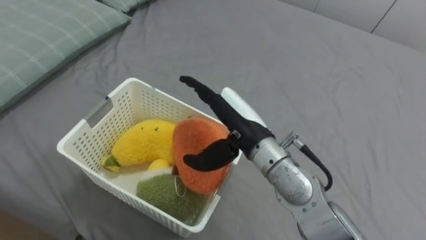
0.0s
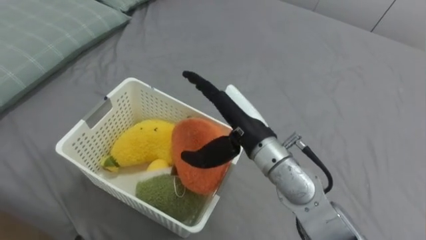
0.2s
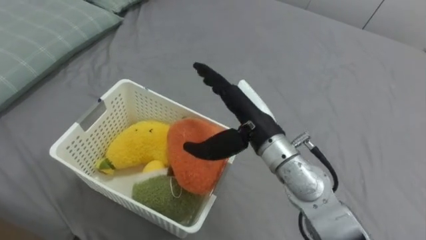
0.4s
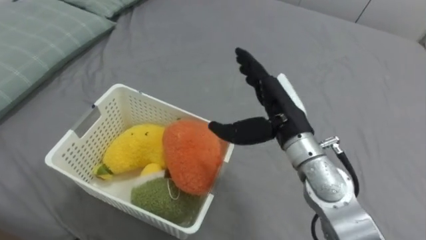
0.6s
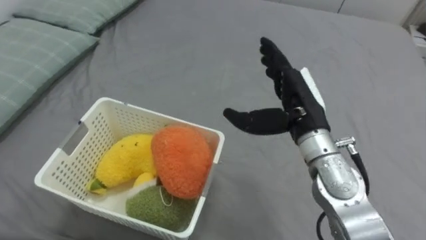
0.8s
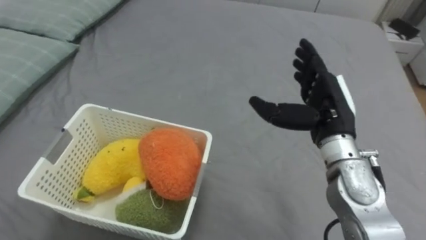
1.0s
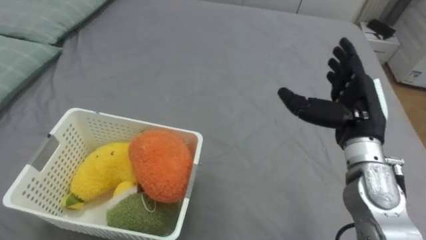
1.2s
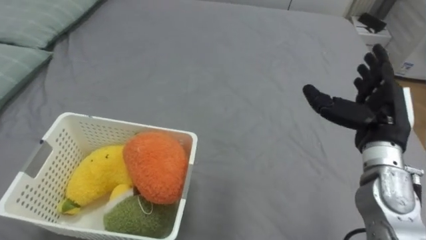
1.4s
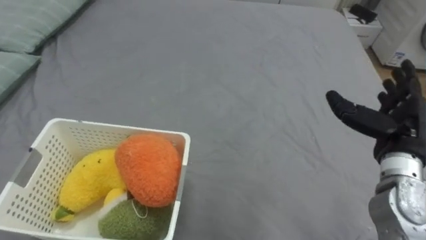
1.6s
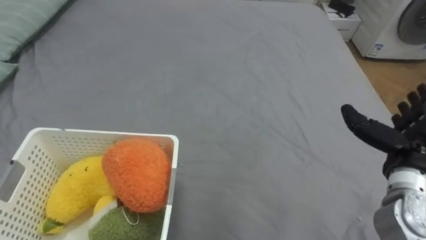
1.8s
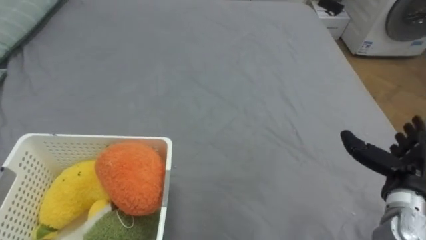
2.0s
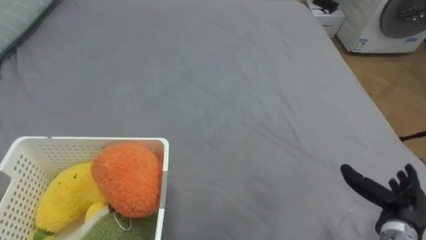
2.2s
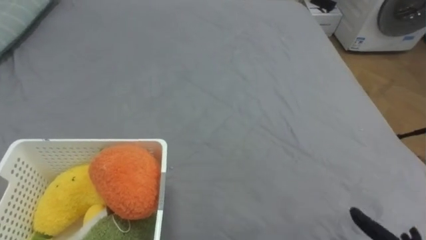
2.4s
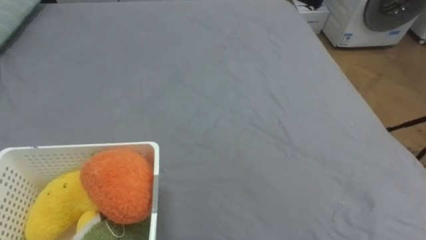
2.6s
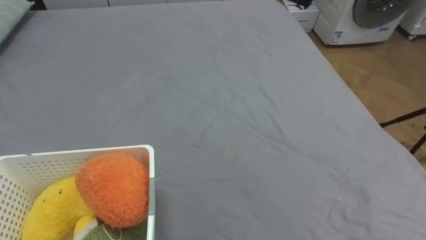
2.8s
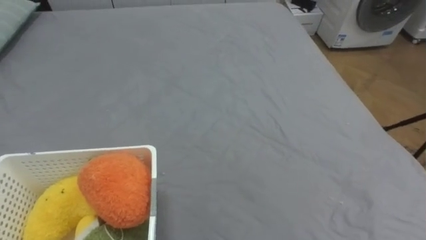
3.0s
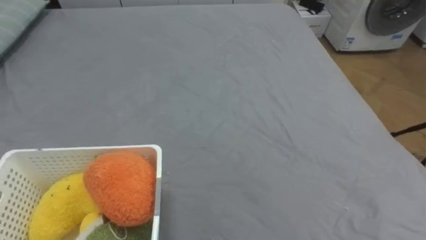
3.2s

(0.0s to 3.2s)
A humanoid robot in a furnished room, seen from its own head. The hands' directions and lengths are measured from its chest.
Task of the whole recording: Put the toys on the bed into the basket on the left.
0.0s - 1.6s: The right hand heads to the right, covering approximately 25 cm.

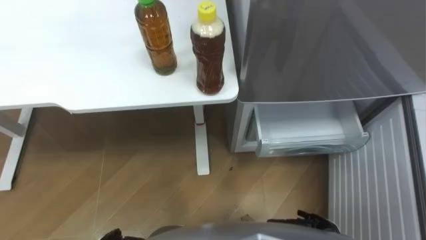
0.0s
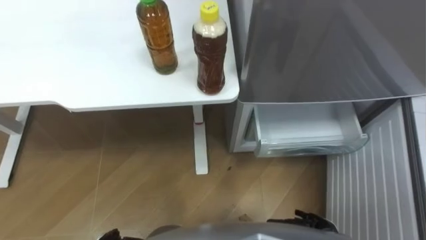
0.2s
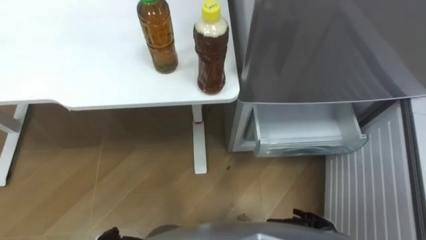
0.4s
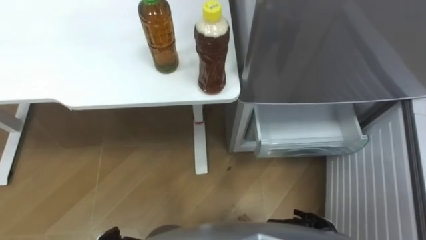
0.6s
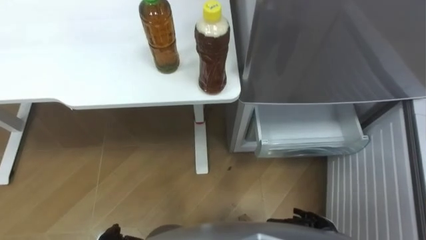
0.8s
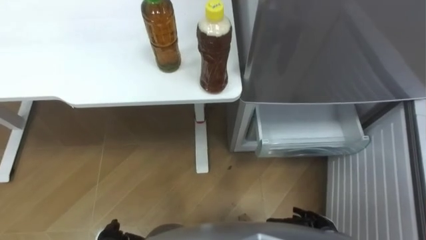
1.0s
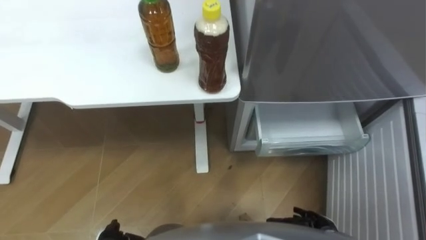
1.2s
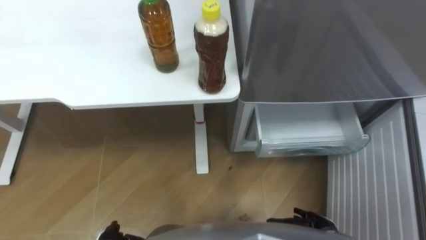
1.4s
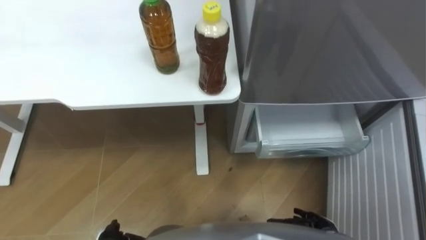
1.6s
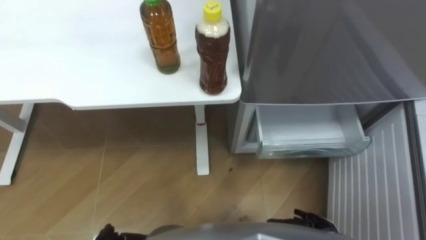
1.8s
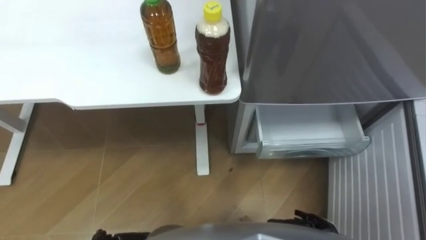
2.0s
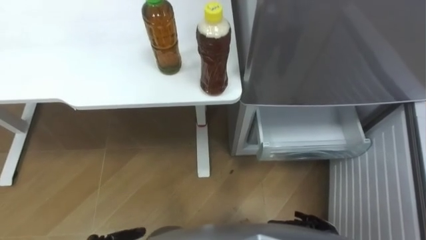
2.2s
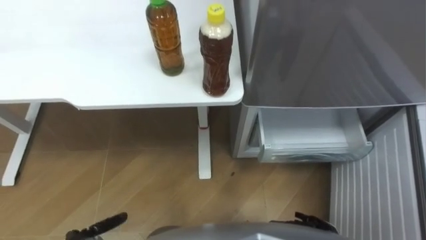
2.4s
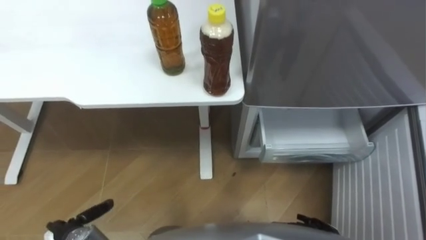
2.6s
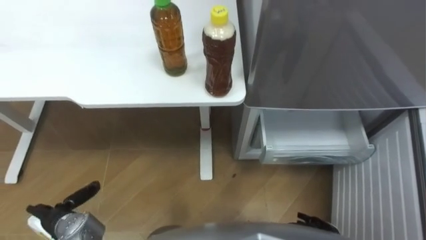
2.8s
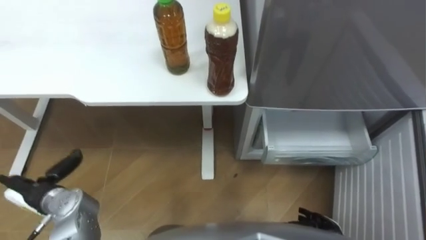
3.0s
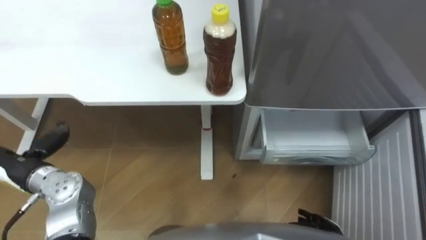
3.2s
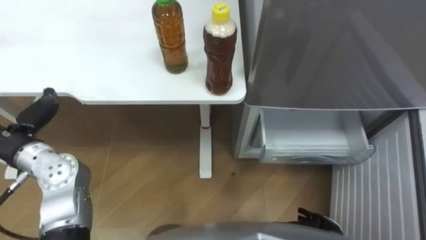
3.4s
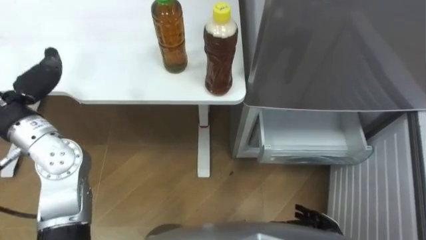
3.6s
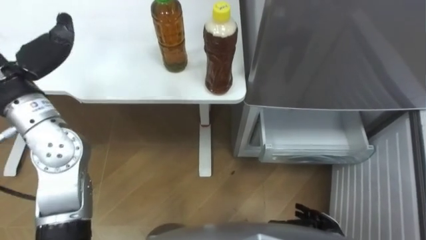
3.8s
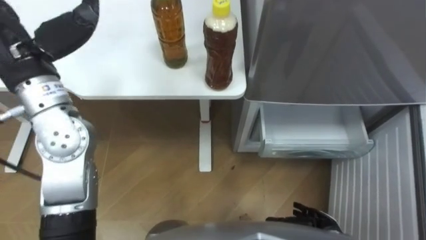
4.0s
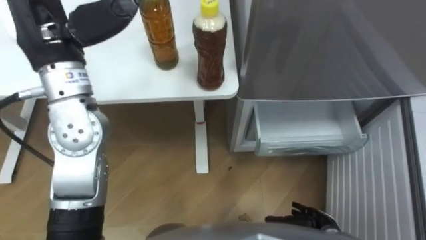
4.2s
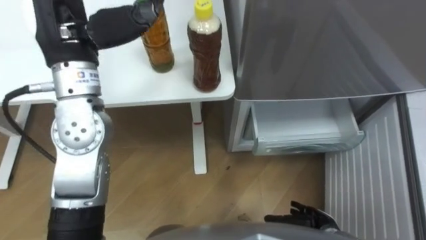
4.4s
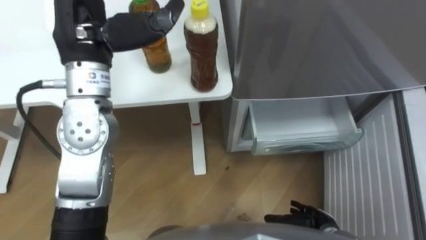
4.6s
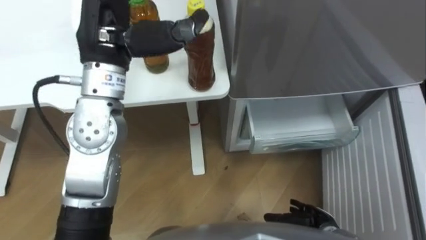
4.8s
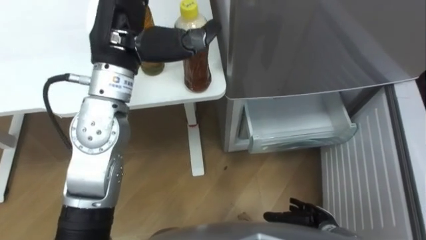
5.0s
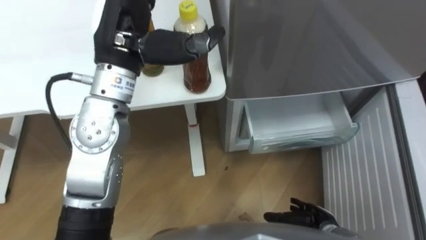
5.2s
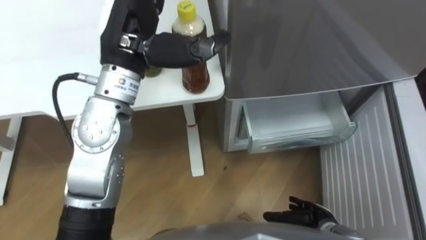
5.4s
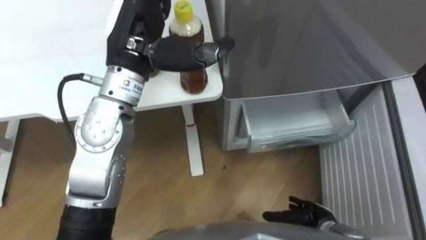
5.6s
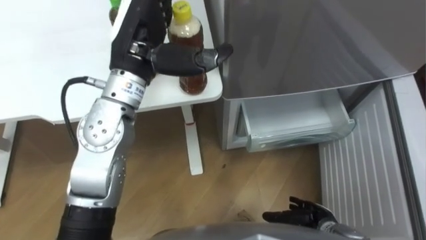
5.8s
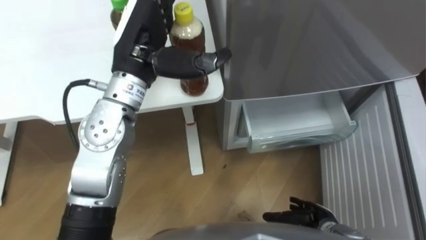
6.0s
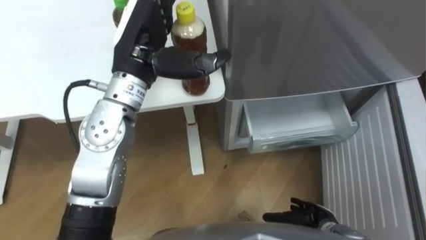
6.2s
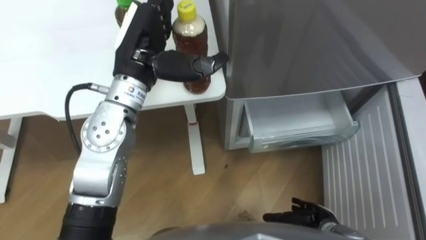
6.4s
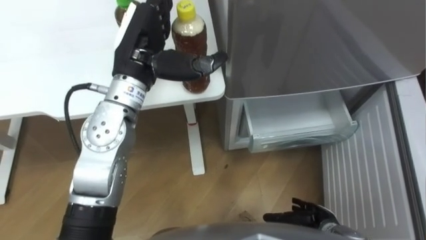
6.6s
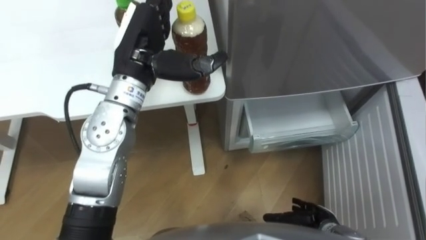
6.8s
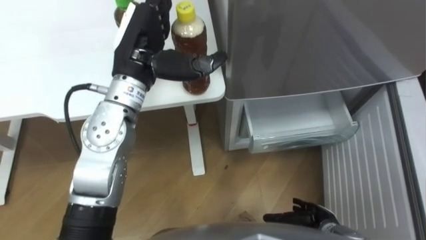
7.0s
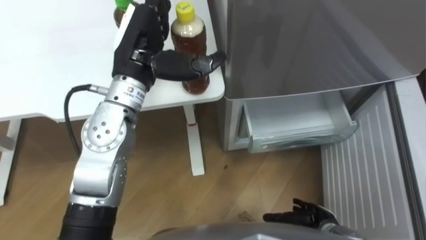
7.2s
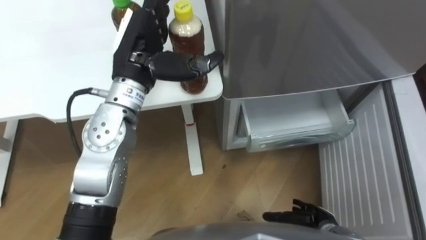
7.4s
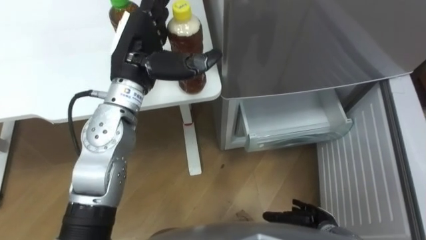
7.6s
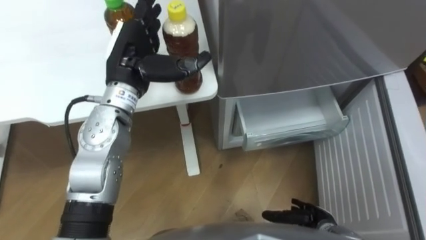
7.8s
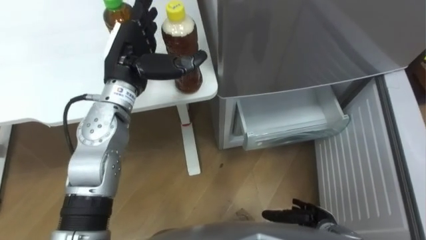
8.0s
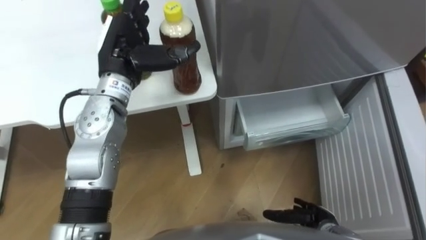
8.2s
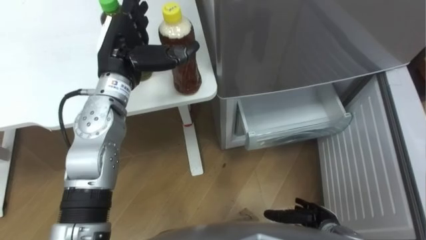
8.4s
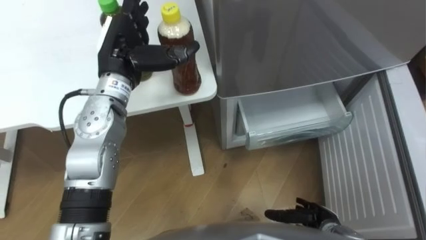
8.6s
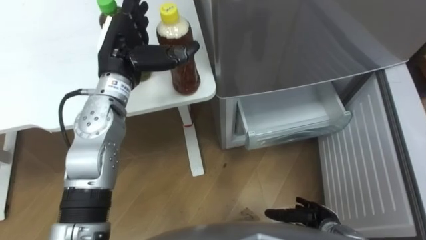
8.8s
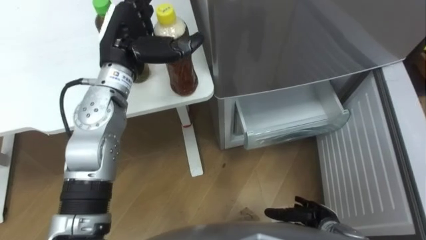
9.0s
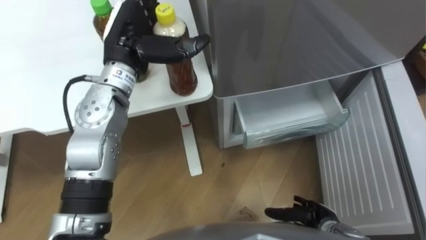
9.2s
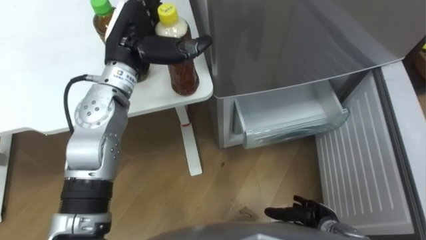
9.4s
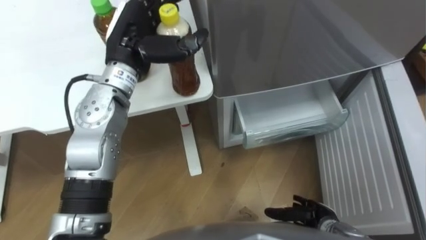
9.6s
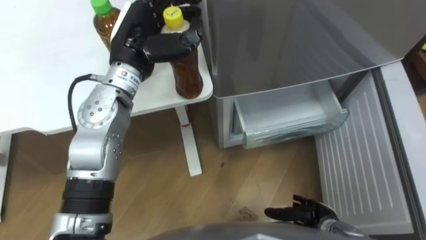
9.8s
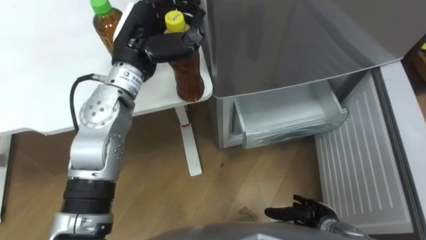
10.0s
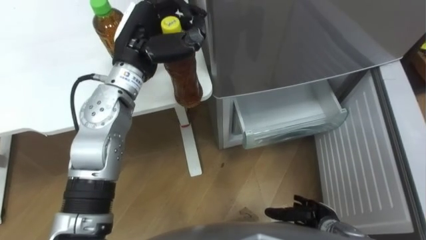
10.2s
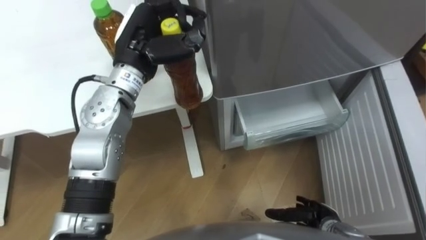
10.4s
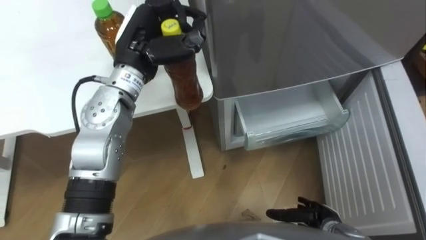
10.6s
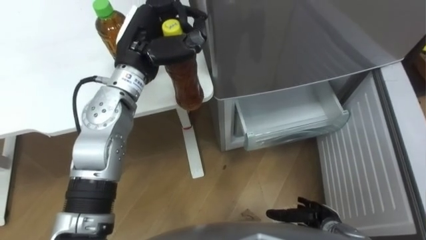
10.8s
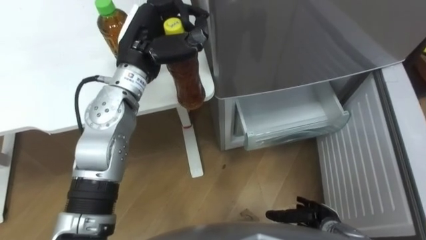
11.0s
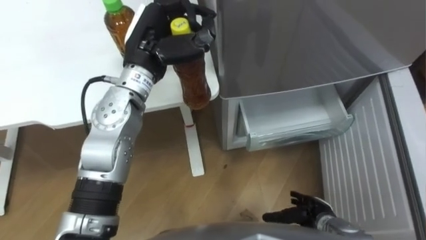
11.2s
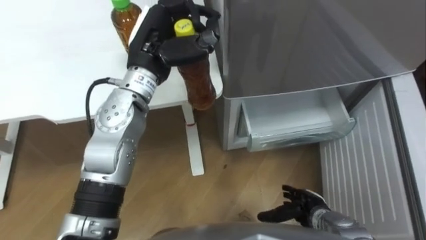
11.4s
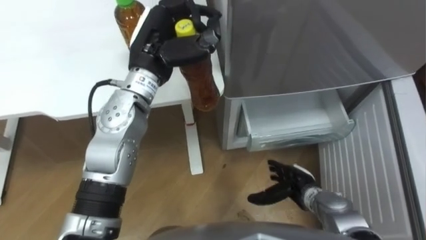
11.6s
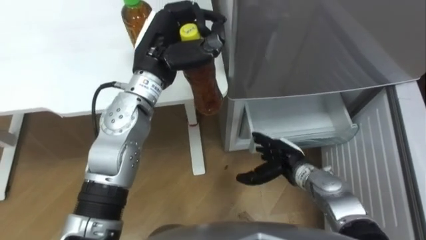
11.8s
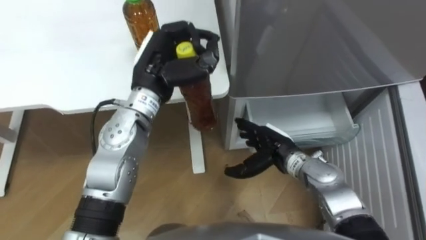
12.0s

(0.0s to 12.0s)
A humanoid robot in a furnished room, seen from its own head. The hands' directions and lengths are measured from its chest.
Task of the whole recording: Place the drink on the table on the bottom shelf of the refrigerator, then close the drawer and the refrigerator door.
4.4s - 6.0s: The left hand heads to the right and downward, covering approximately 10 cm.
6.0s - 7.6s: The hands move only a little.
9.0s - 10.4s: The left hand closes its fingers.
10.4s - 12.0s: The right hand travels forward, upward and to the left by approximately 20 cm.

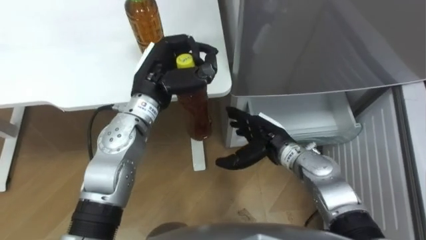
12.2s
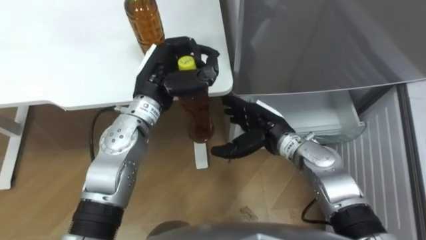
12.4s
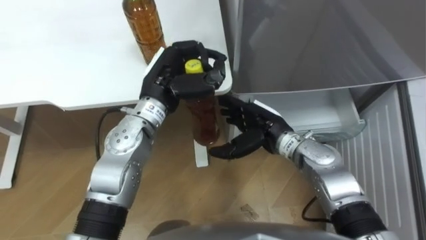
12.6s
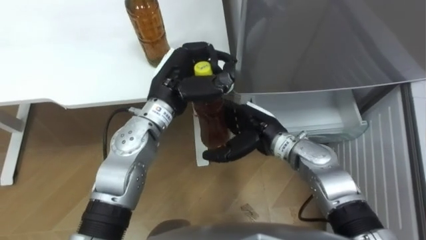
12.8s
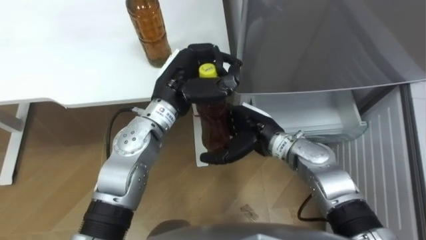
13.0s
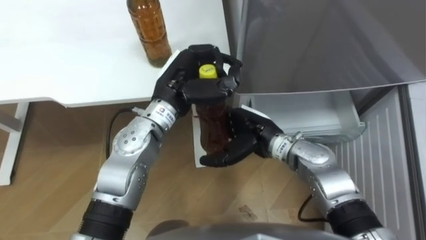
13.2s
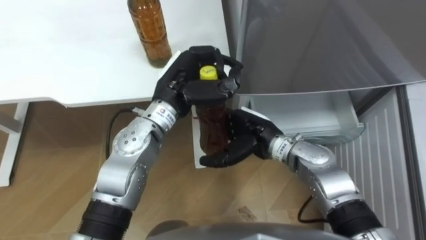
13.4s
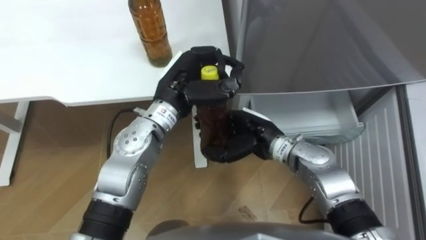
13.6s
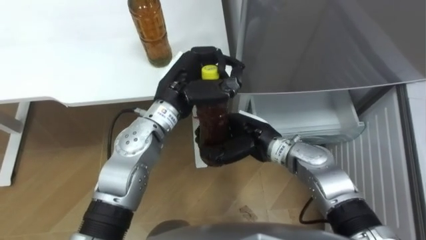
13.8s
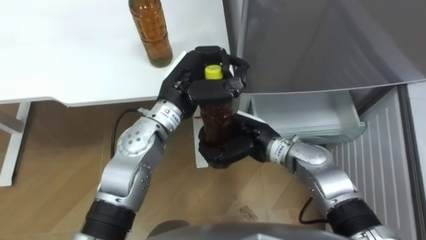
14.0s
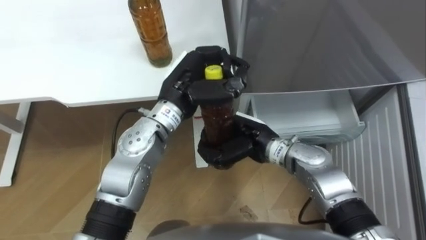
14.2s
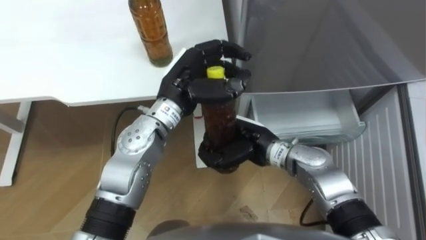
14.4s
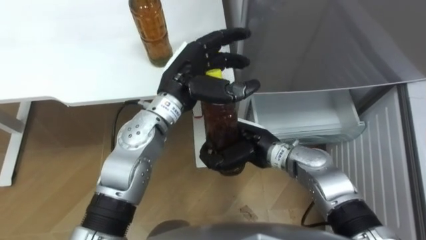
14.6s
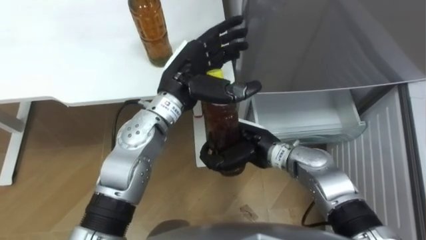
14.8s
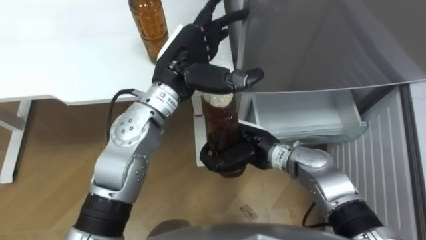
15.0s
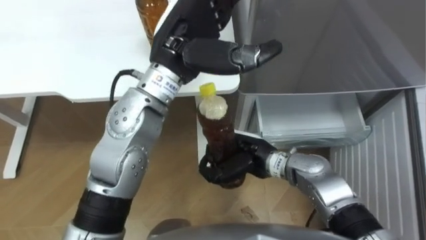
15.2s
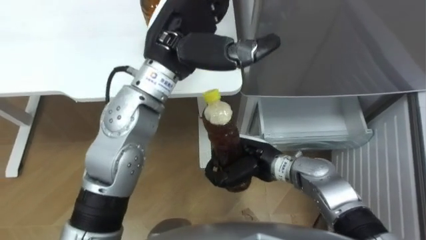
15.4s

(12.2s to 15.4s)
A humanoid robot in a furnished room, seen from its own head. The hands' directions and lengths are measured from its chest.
Task of the whole recording: Place the drink on the table on the bottom shelf of the refrigerator, then close the drawer and the refrigerator door.
12.2s - 13.8s: The right hand moves some 5 cm, and closes.
13.8s - 15.4s: The left hand travels upward by some 10 cm, and opens up.
